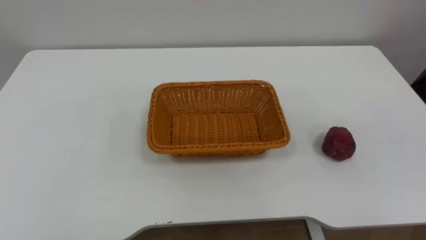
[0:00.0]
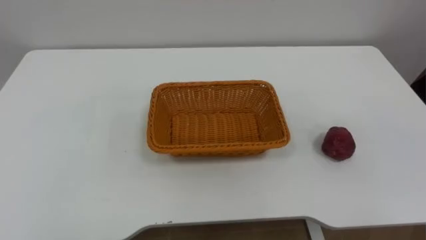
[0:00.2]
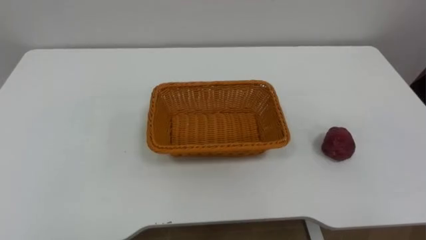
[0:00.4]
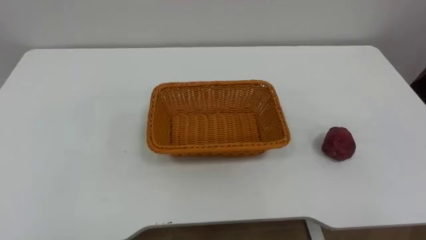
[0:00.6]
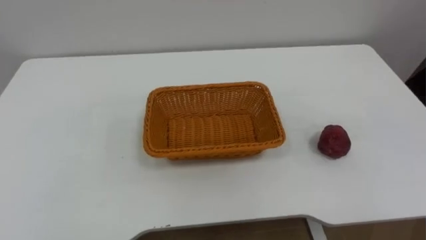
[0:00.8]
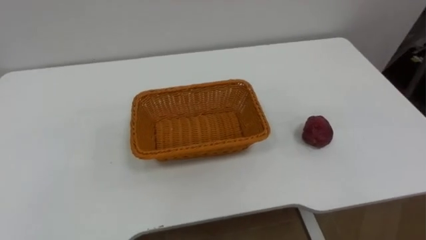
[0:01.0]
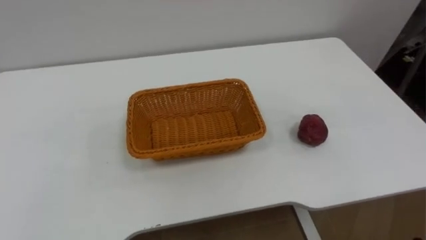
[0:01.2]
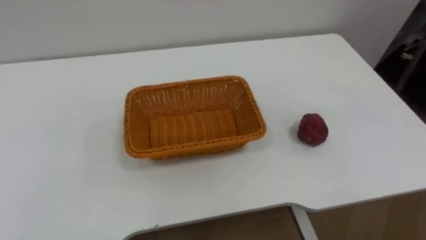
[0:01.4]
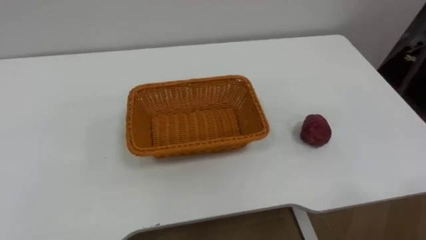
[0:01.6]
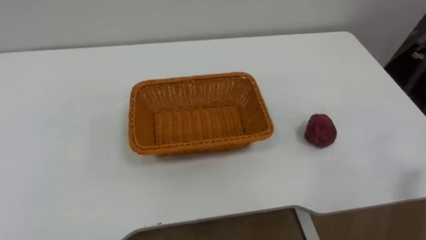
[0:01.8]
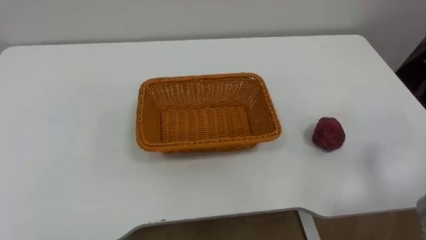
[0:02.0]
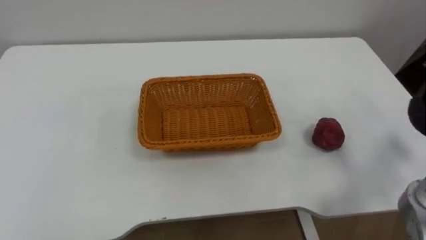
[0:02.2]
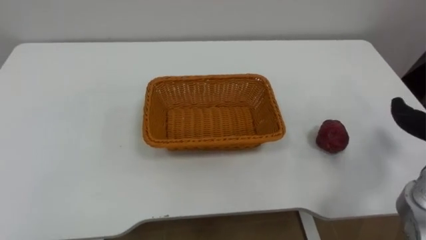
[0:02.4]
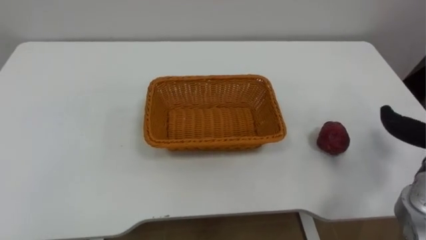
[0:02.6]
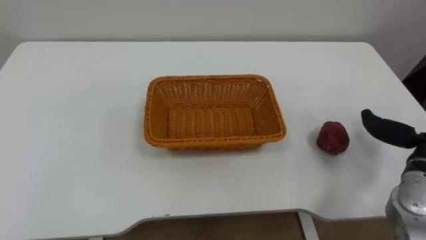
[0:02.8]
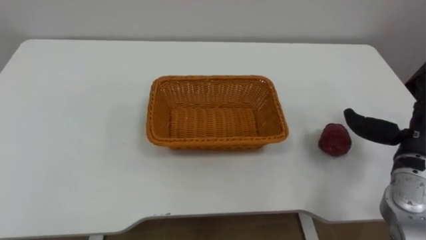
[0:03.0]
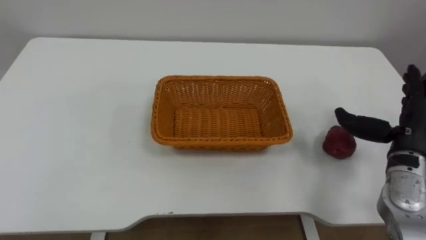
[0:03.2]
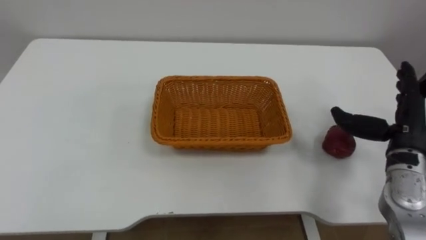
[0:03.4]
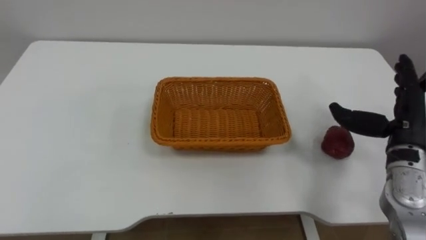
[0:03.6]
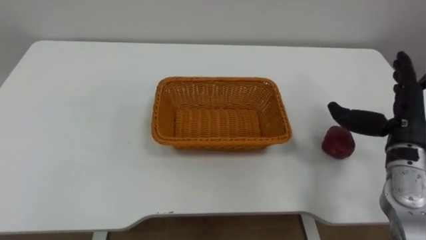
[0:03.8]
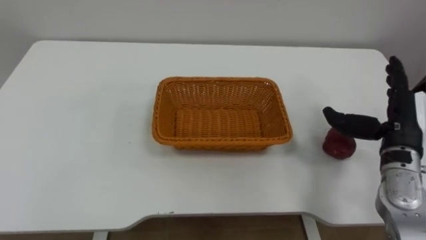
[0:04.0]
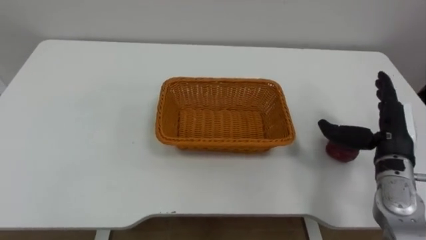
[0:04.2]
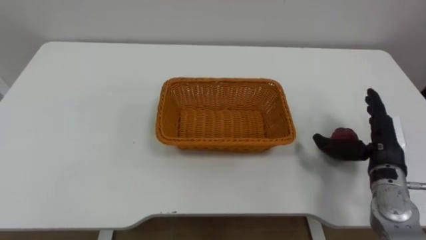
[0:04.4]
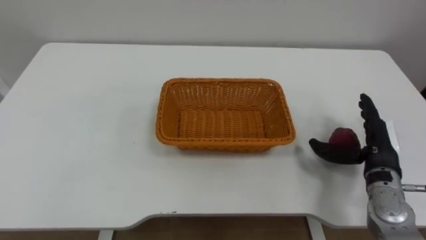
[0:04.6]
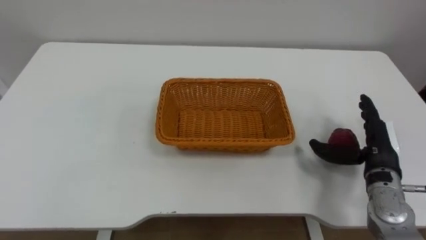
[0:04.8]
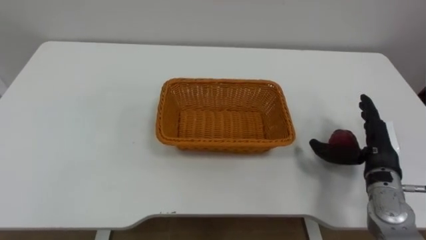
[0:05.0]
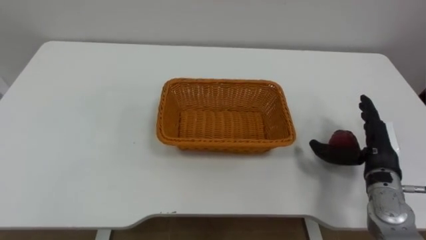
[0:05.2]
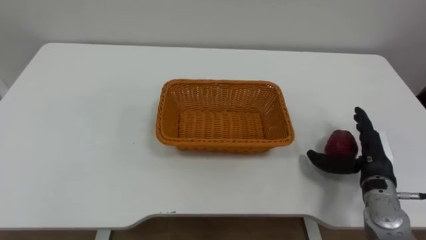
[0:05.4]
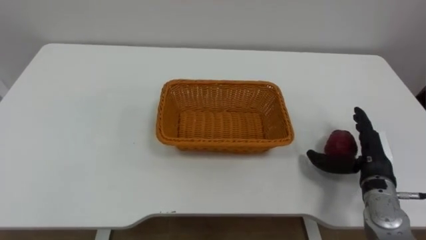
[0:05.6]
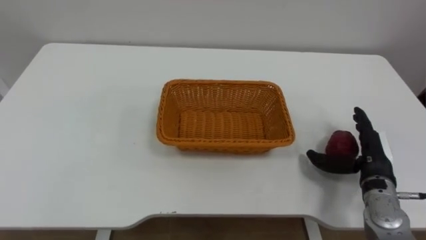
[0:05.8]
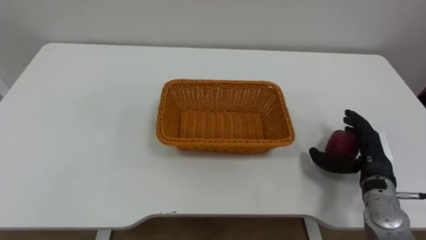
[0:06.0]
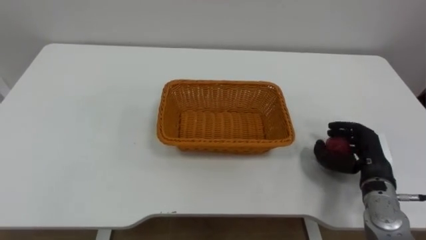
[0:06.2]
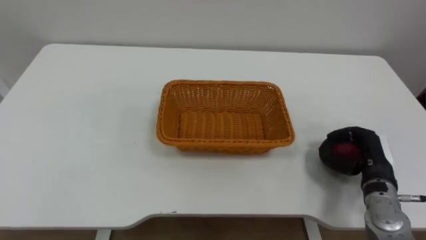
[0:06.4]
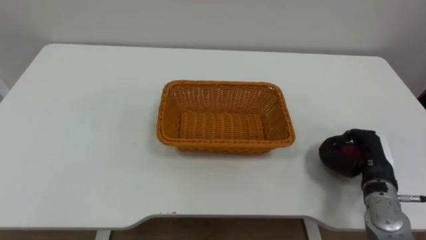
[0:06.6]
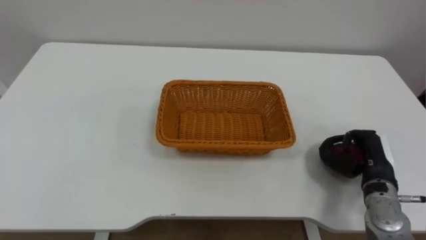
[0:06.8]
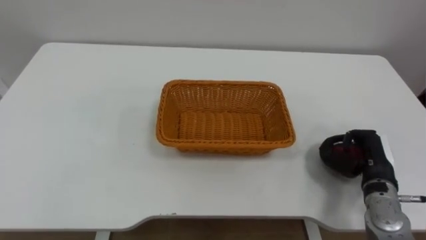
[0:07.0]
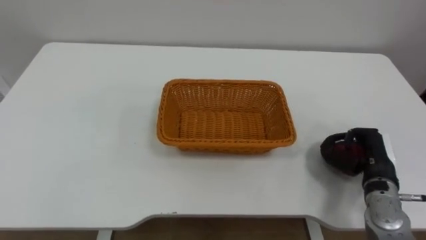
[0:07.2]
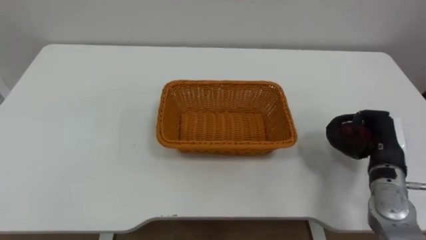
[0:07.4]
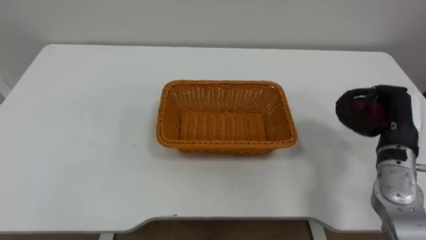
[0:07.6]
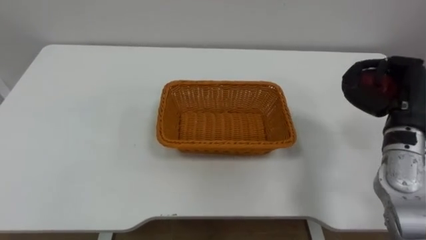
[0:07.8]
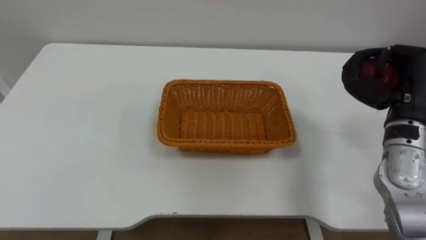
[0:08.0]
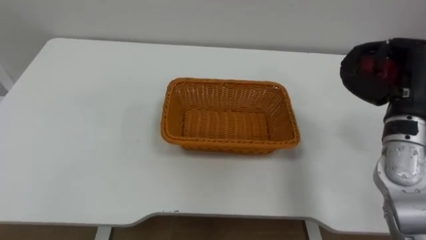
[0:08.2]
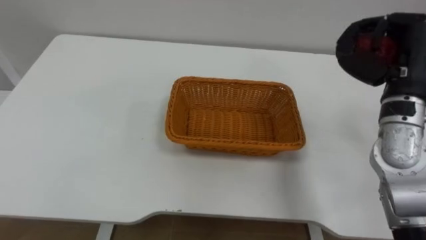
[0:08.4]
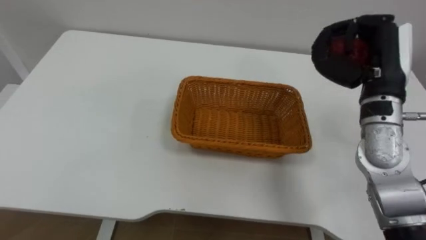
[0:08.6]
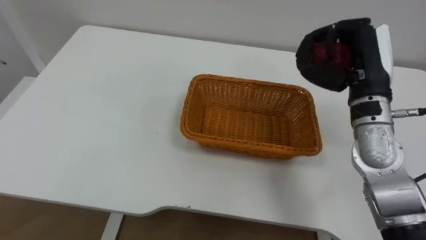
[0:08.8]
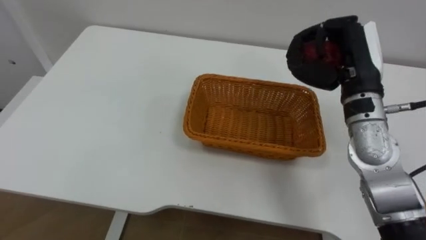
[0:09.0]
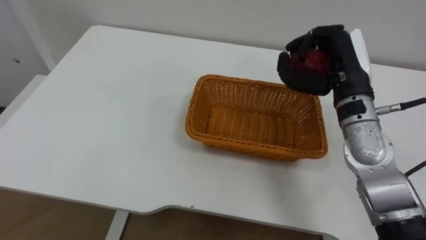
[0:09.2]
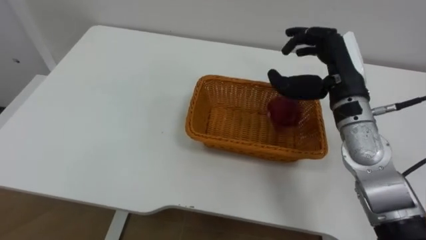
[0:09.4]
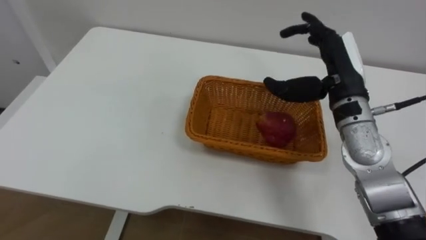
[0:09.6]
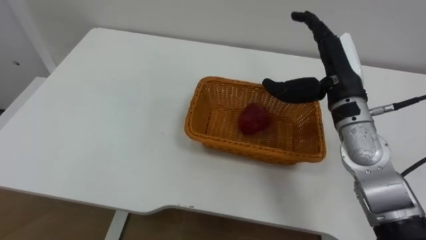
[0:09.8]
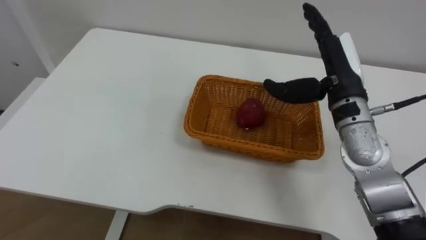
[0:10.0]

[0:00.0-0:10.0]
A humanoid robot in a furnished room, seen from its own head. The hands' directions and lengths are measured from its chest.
Task of the whole recording: Pick the apple and place it in the box.
0:04.2 to 0:05.8: The right hand shifts about 5 cm downward.
0:05.8 to 0:07.2: The right hand closes up.
0:07.2 to 0:08.6: The right hand shifts some 20 cm upward.
0:08.6 to 0:10.0: The right hand shifts by some 5 cm, and opens up.

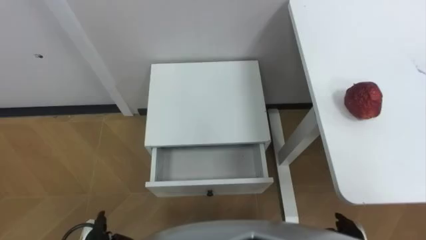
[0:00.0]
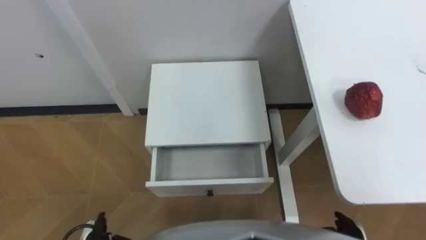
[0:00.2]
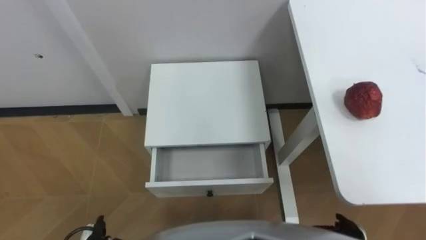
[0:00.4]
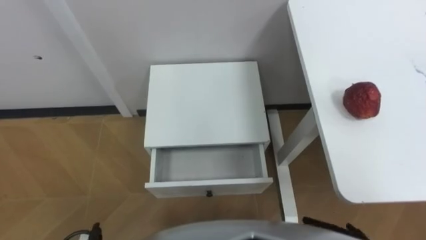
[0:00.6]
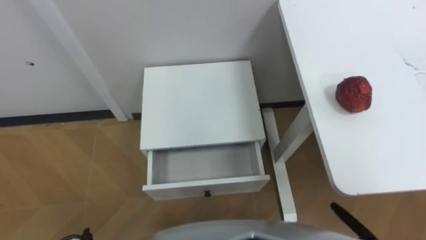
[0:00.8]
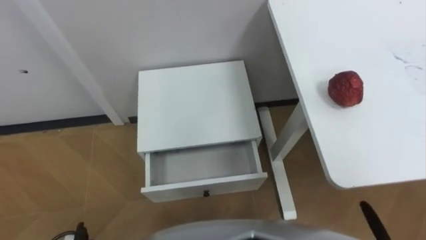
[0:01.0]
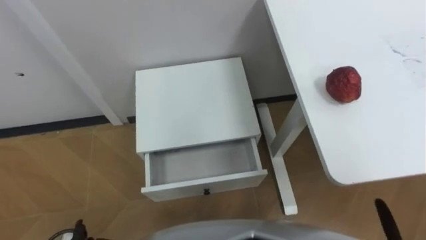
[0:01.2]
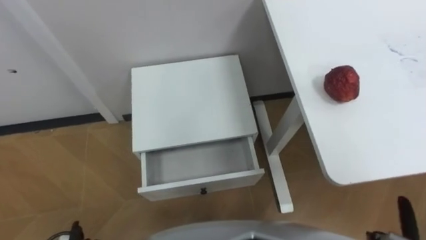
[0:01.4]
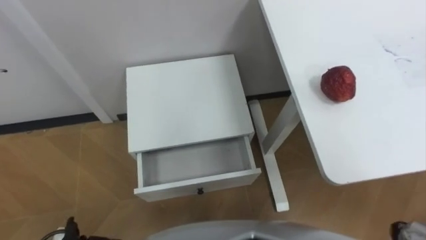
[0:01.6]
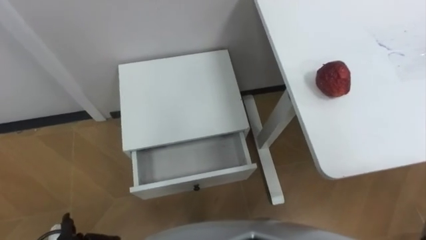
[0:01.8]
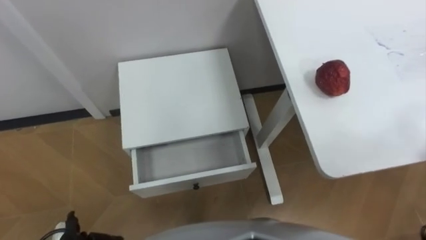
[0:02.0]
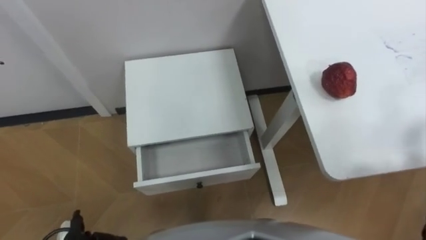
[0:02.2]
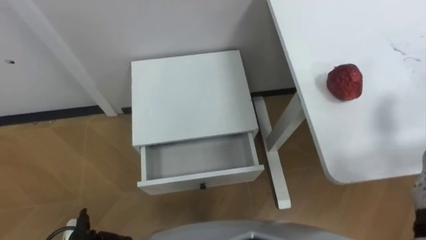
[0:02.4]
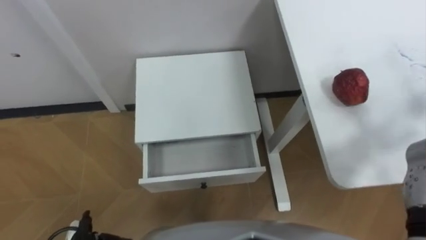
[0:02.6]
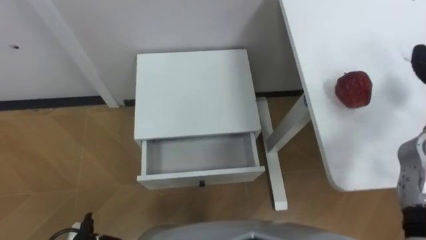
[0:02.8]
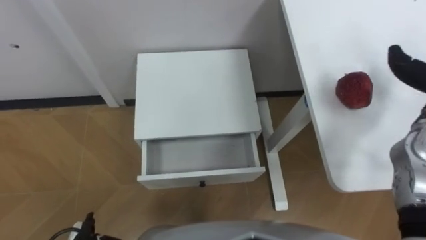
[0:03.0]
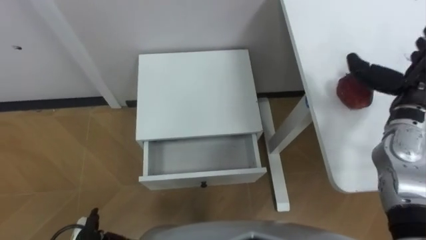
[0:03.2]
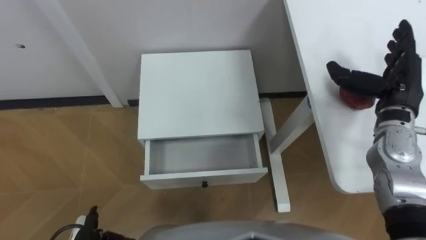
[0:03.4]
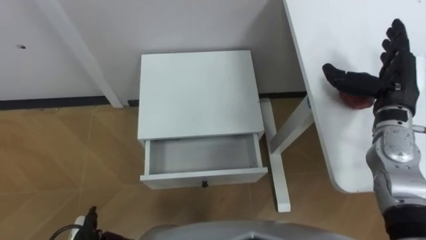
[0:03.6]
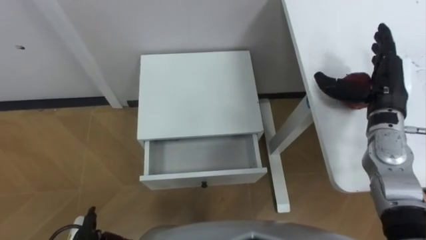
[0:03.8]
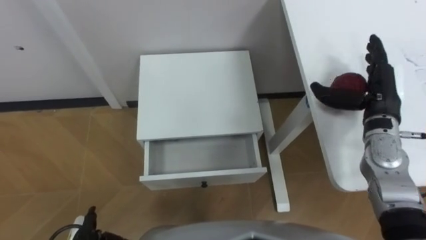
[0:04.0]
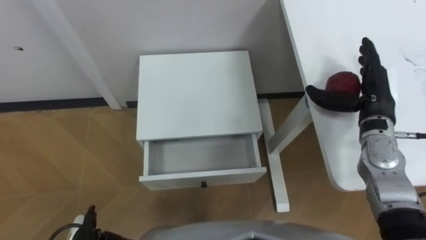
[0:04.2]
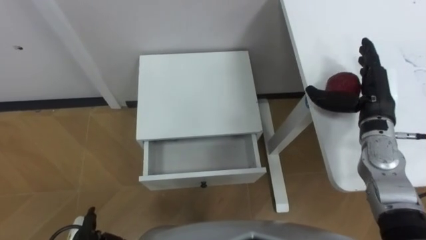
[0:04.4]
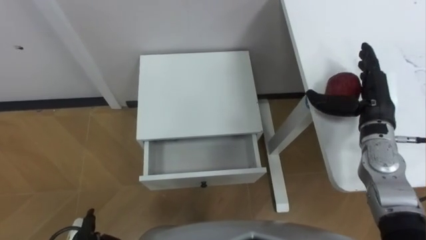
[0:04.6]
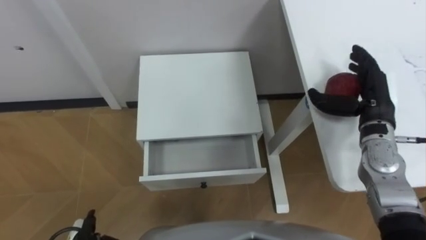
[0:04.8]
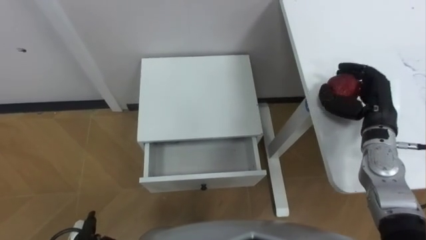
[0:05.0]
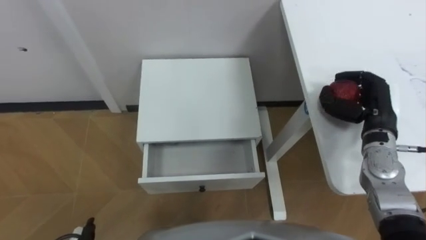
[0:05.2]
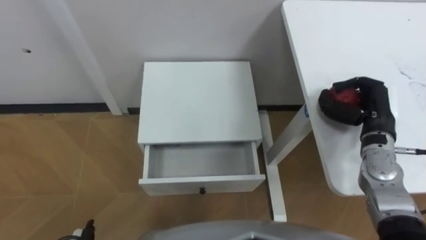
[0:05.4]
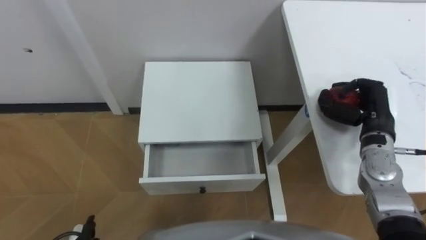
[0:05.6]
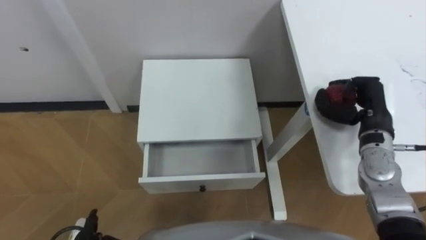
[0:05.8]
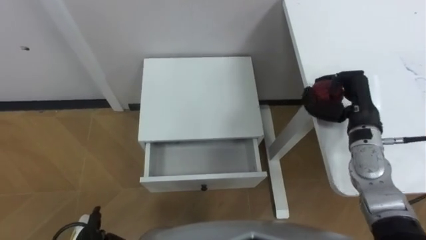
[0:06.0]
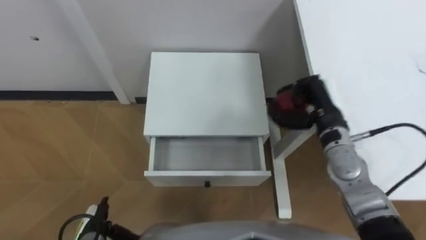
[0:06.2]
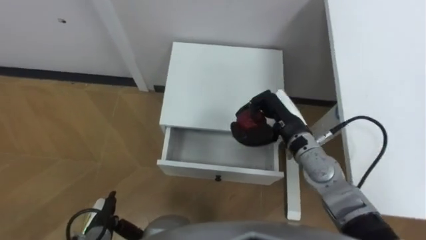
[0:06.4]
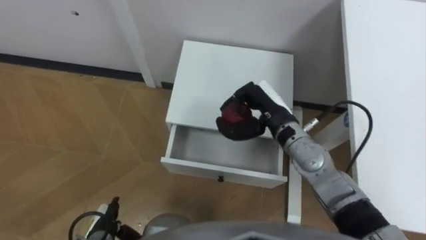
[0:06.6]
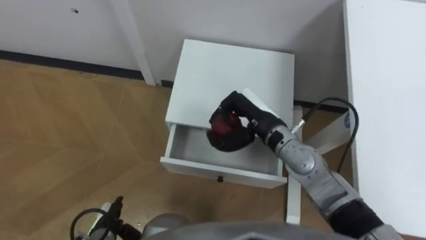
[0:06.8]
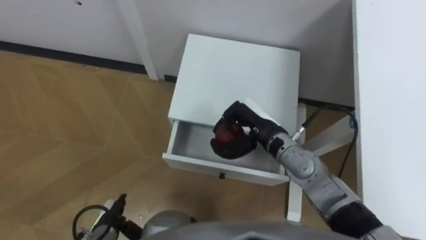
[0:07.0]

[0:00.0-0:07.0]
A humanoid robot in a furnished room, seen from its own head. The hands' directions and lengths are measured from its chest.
Task of the whole recording: Pick up the apple from the table, put it in the drawer, and close the drawer with leg.
0:04.2 to 0:05.6: The right hand closes up.
0:05.6 to 0:07.0: The right hand travels to the left by about 20 cm. Meanwhile the left hand goes roughly 5 cm forward.
